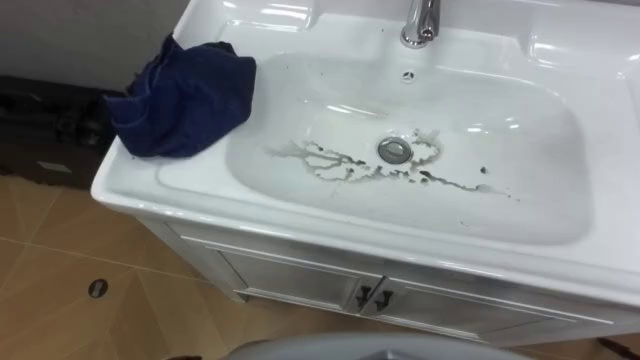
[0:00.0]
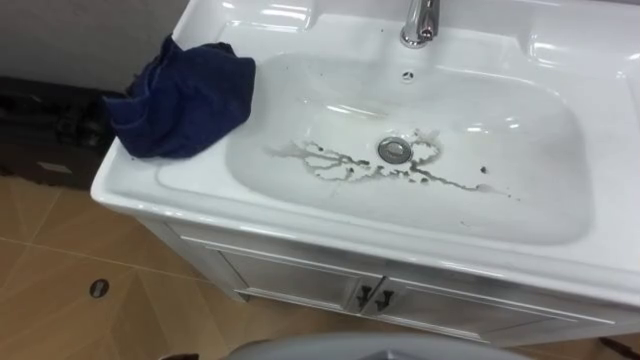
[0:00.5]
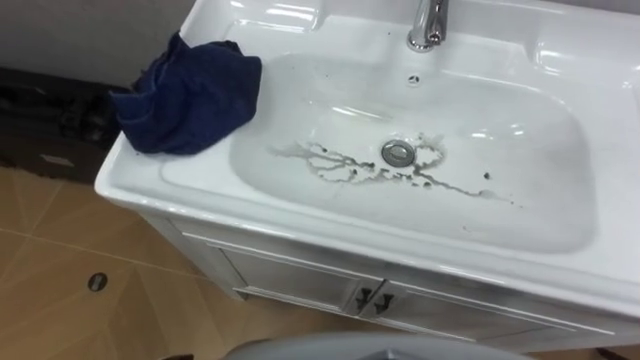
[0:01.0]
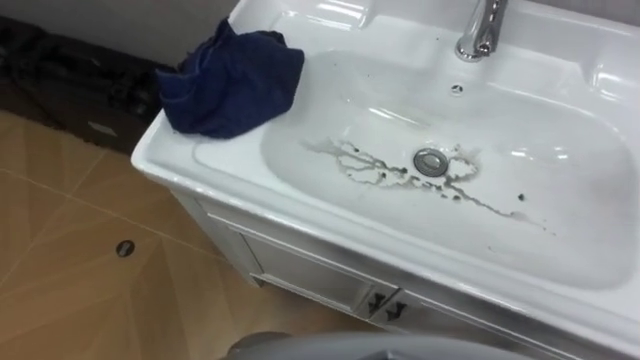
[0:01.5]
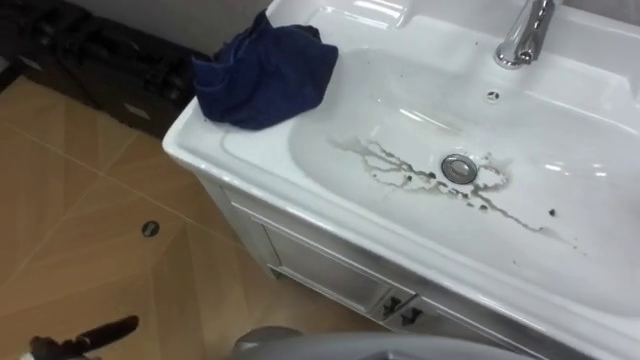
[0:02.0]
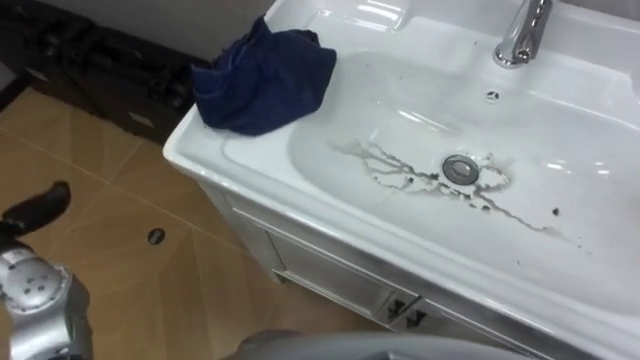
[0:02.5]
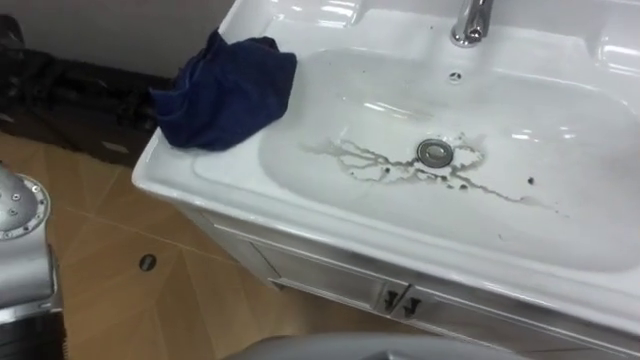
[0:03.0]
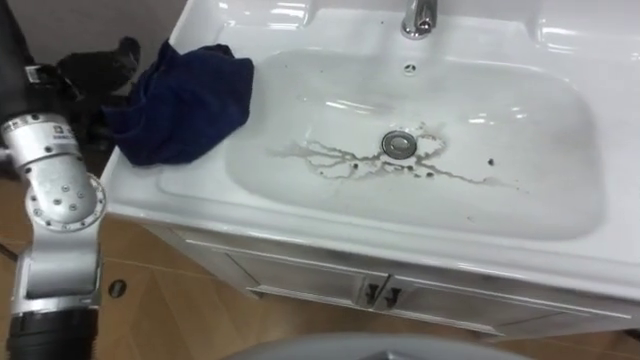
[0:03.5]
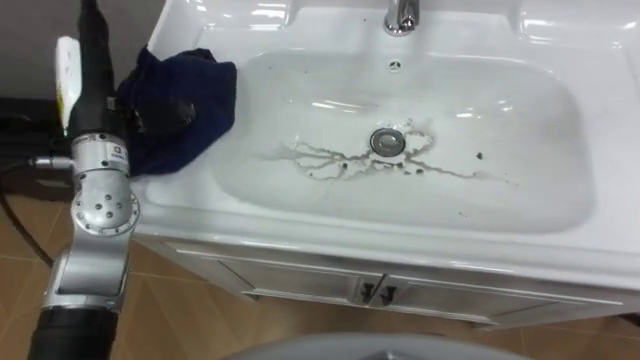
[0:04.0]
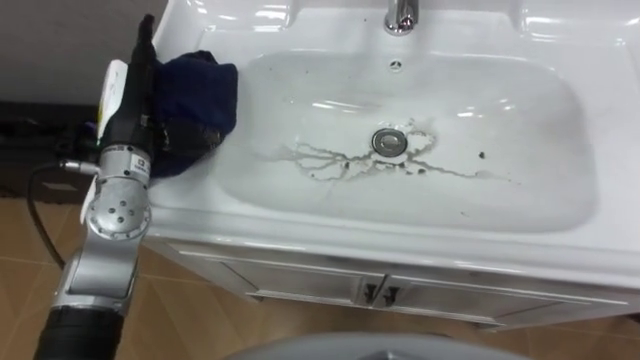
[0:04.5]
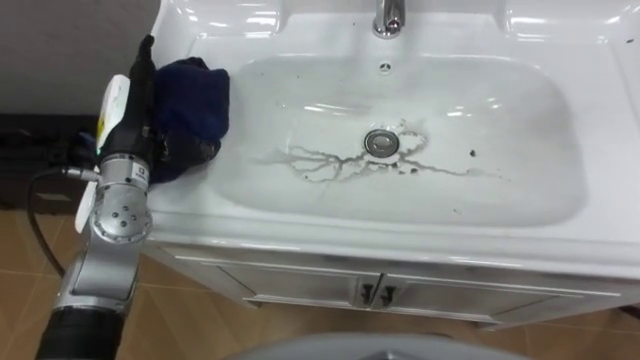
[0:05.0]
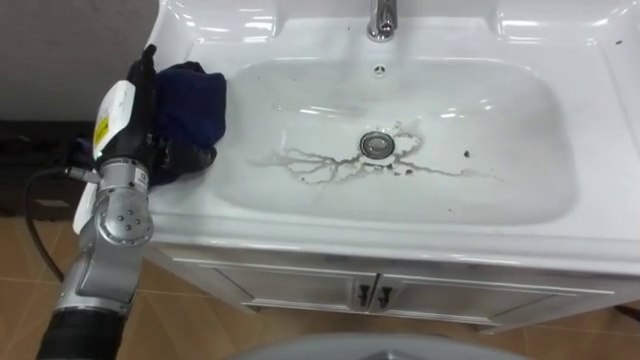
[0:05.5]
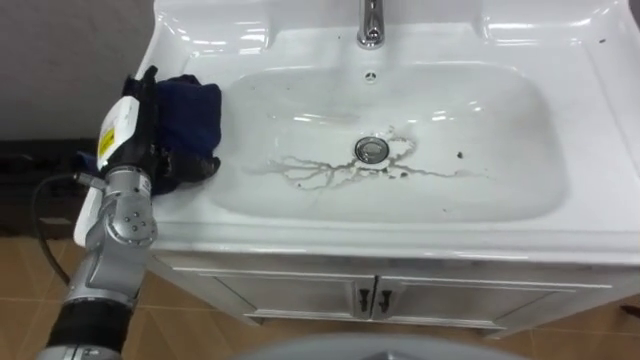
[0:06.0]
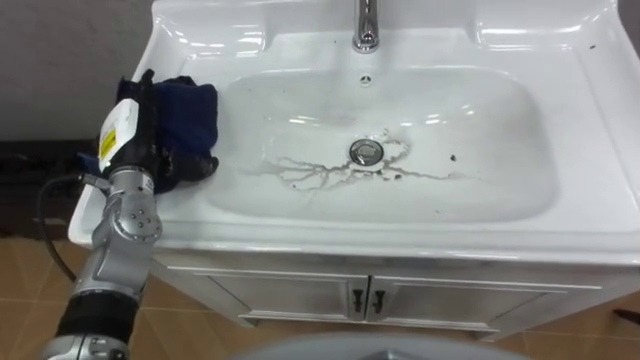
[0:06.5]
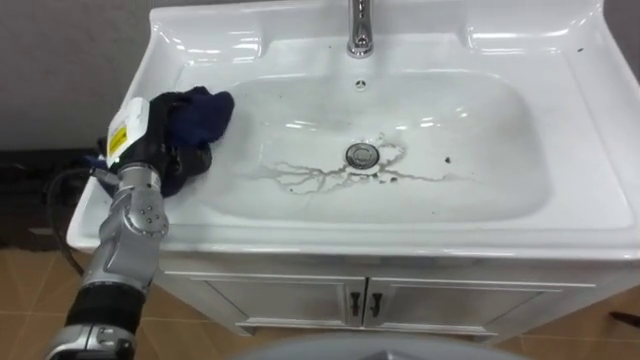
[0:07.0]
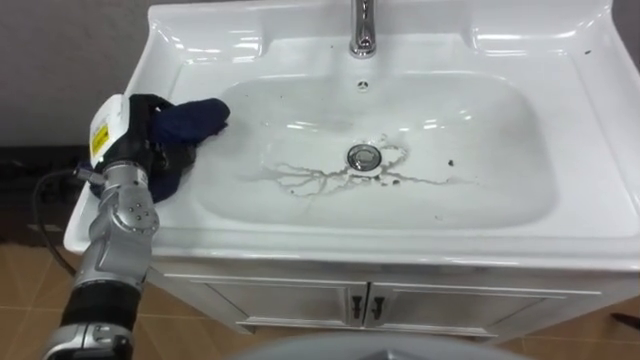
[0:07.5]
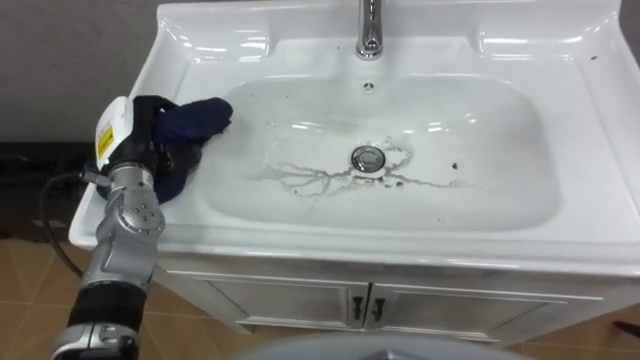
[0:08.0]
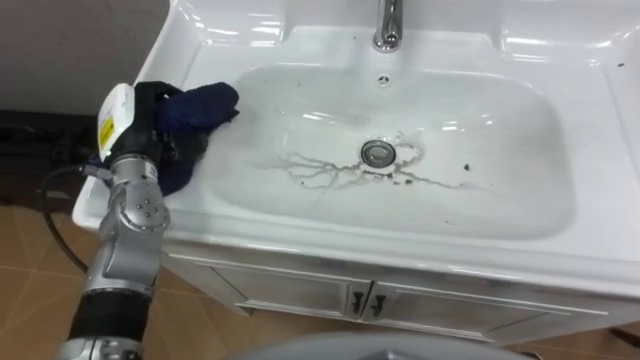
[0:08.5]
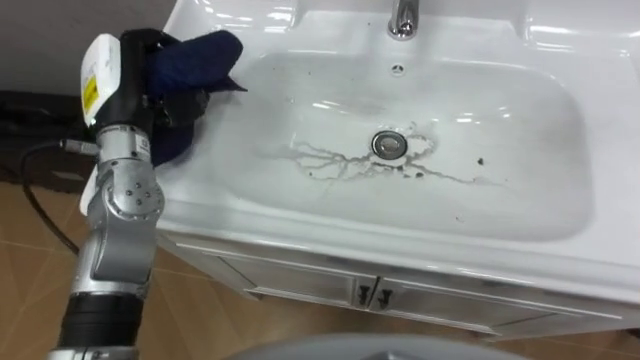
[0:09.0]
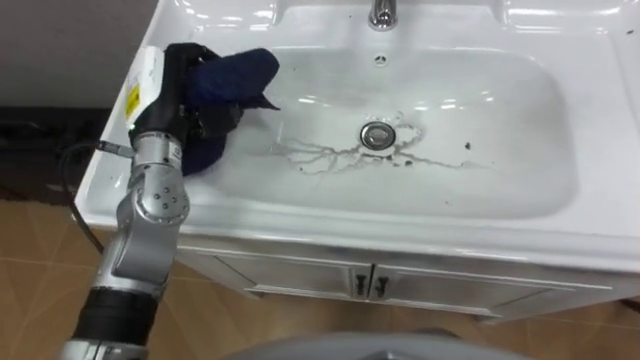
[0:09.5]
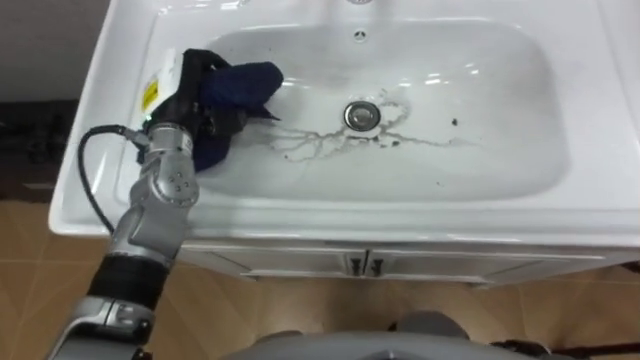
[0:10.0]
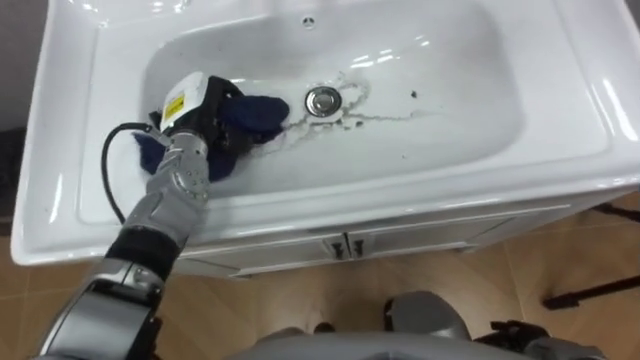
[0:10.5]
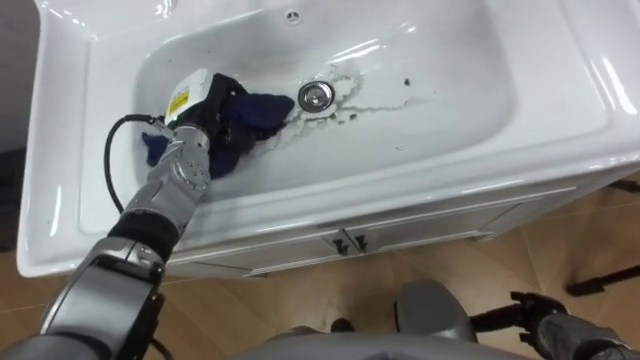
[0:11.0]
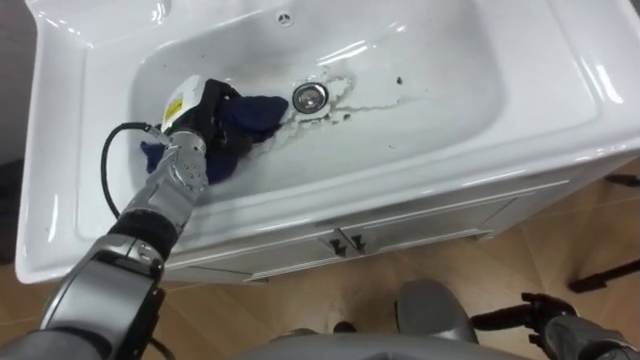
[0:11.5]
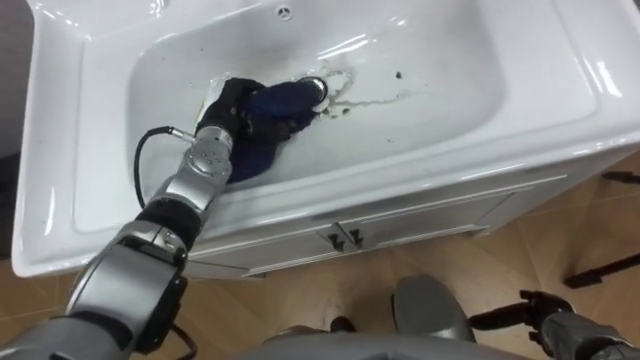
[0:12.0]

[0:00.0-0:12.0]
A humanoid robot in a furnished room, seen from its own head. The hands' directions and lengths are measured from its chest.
Task of the whole recording: Use the cloth on the right to wipe away the black stain in the sink.
0:04.0 to 0:06.0: The left hand goes about 10 cm downward.
0:06.0 to 0:08.0: The left hand closes up.
0:08.0 to 0:10.0: The left hand goes some 10 cm to the right and upward.
0:10.0 to 0:12.0: The left hand is displaced downward by approximately 10 cm.

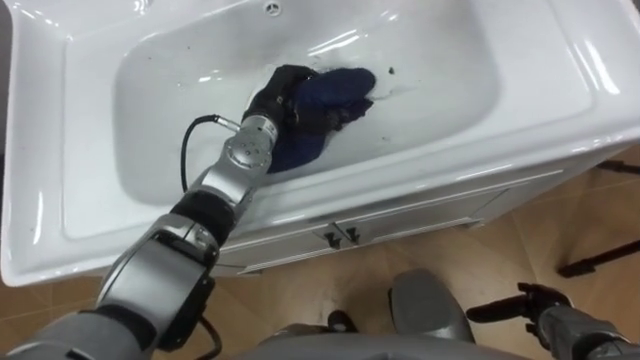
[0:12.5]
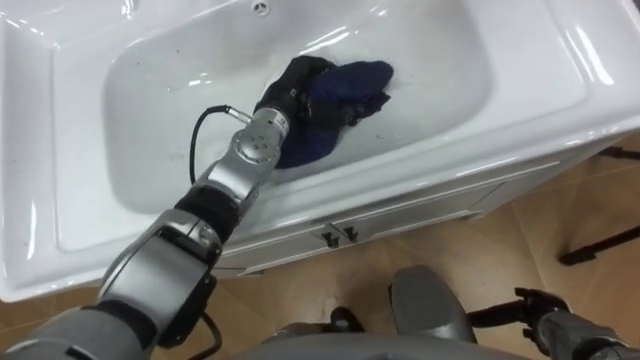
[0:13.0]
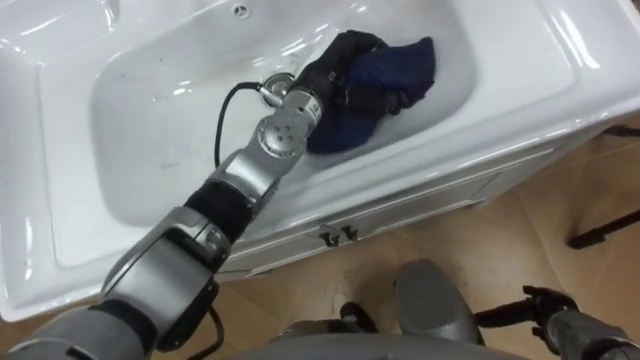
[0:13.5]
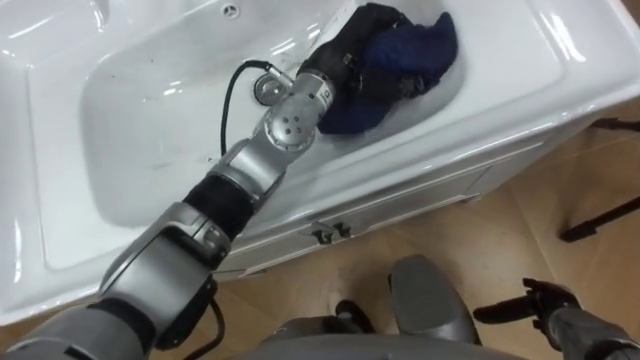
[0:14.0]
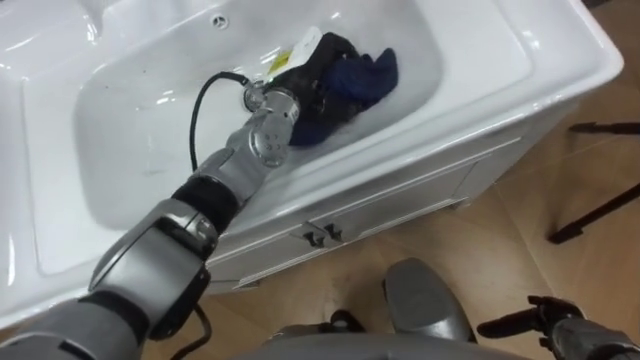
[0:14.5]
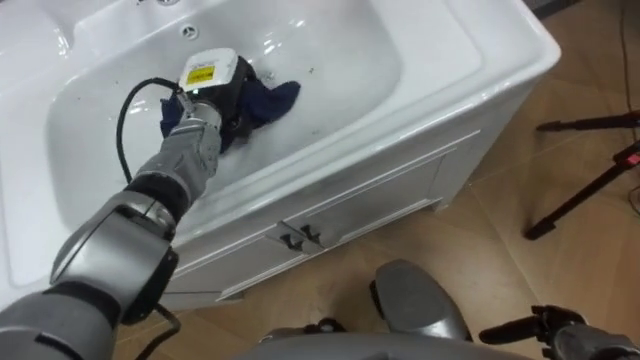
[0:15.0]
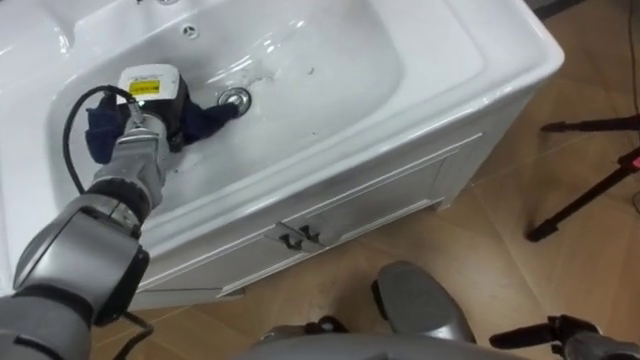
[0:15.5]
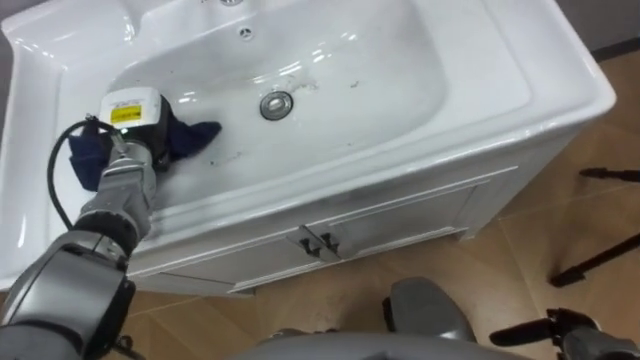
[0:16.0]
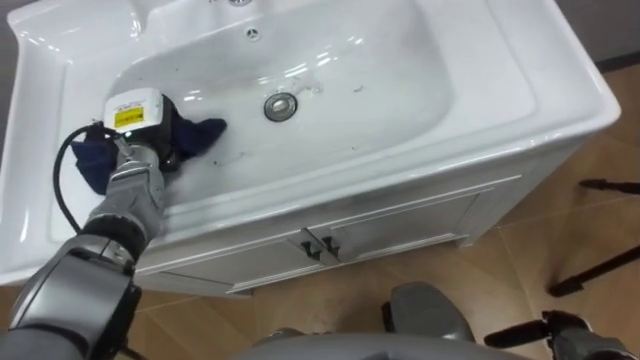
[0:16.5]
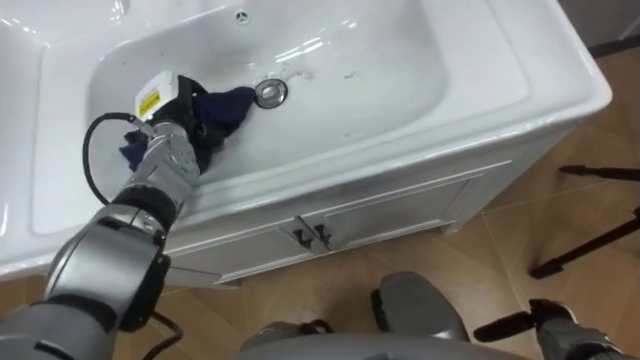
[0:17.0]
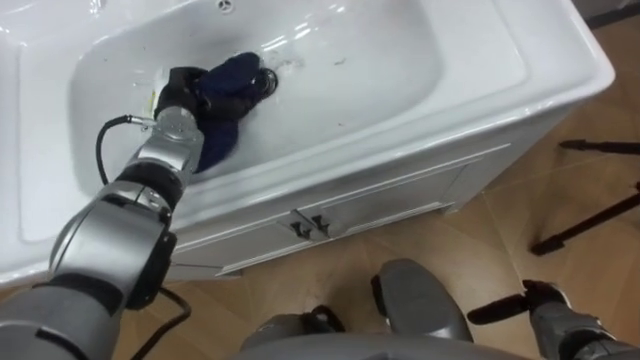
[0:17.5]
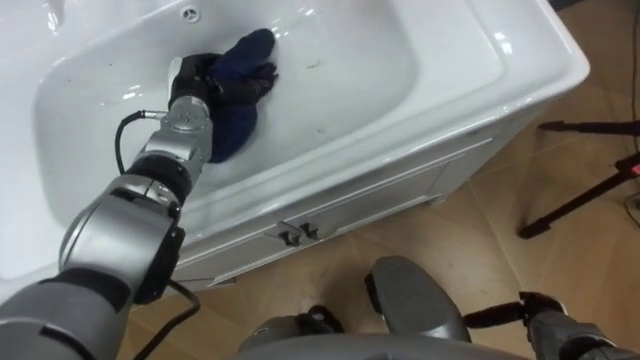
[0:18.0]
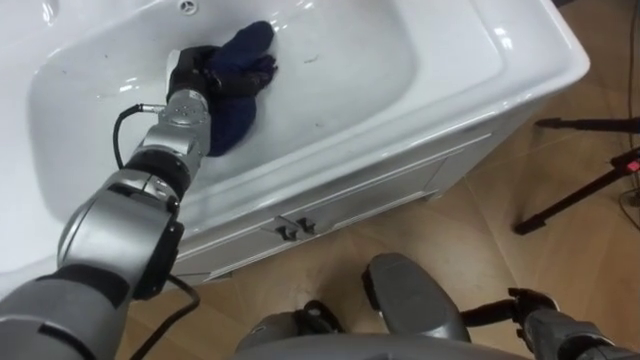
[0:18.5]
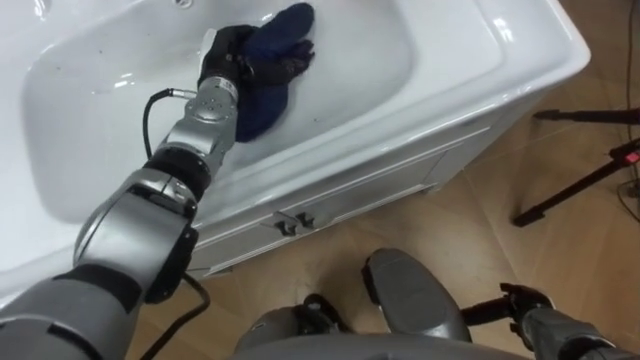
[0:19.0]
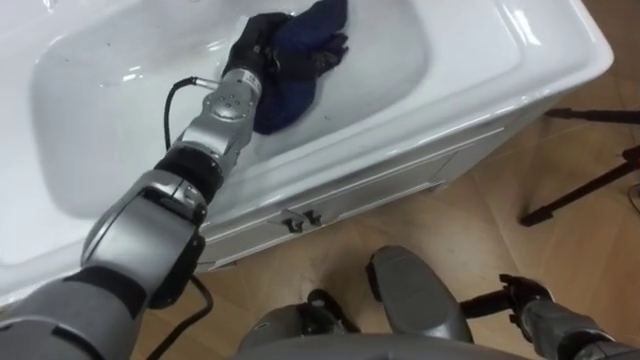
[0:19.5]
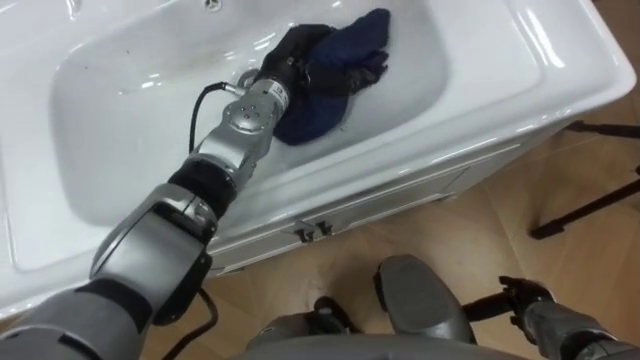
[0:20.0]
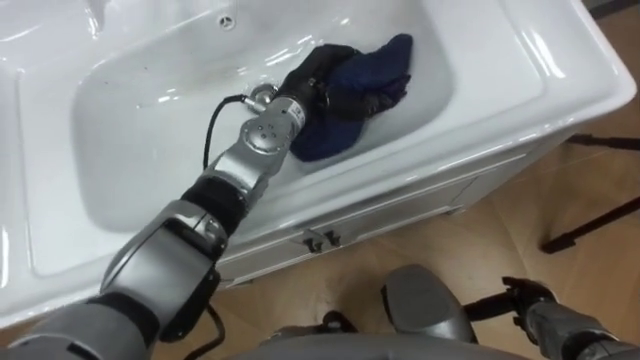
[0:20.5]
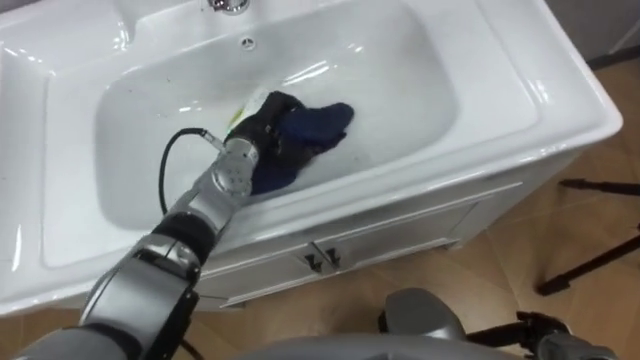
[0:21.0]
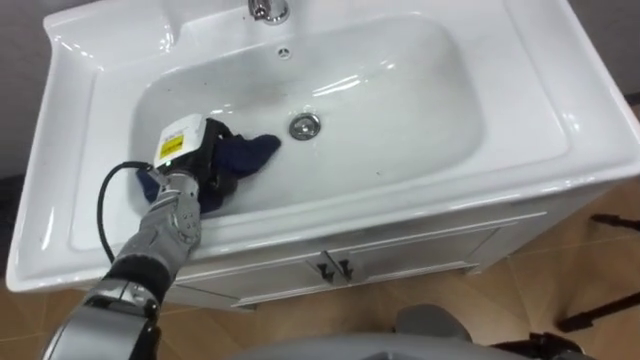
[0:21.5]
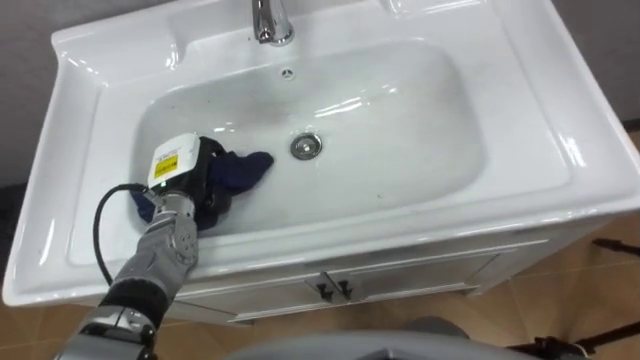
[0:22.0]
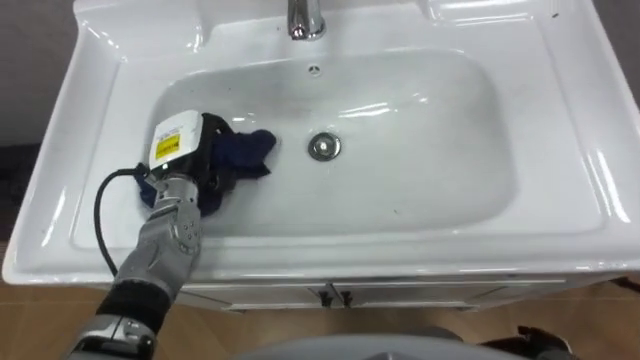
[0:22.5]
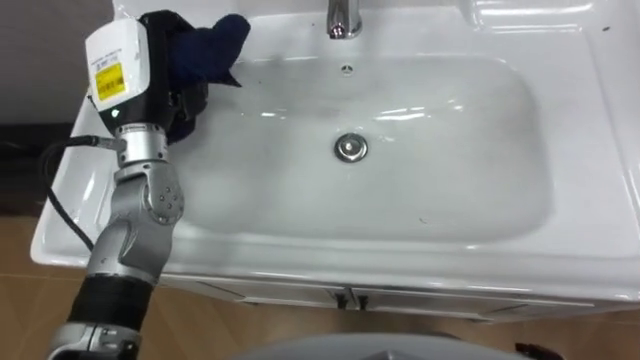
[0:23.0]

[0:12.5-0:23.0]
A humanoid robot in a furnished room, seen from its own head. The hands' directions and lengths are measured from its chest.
Task of the whole recording: Use the cloth on the right to wipe away the black stain in the sink.
0:12.5 to 0:14.5: The left hand shifts roughly 5 cm upward.
0:14.5 to 0:16.5: The left hand heads to the left, covering some 25 cm.
0:16.5 to 0:19.0: The left hand travels to the right and forward by approximately 15 cm, while the right hand ends up roughly 5 cm from where it was.
0:19.0 to 0:21.0: The left hand is displaced backward and downward by some 10 cm, and travels to the right and back again, some 10 cm each way.
0:21.0 to 0:23.0: The left hand is displaced upward and to the left by some 20 cm.
